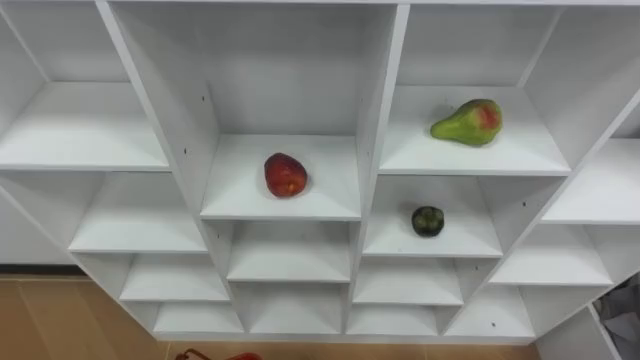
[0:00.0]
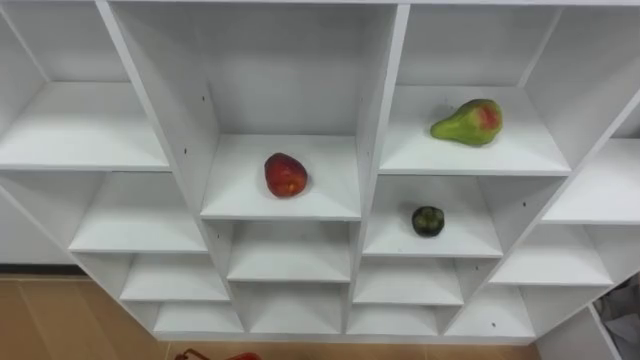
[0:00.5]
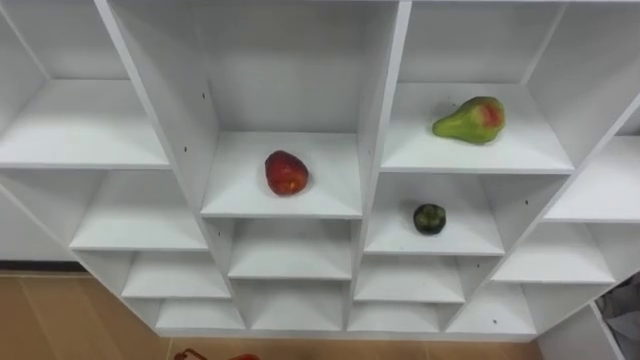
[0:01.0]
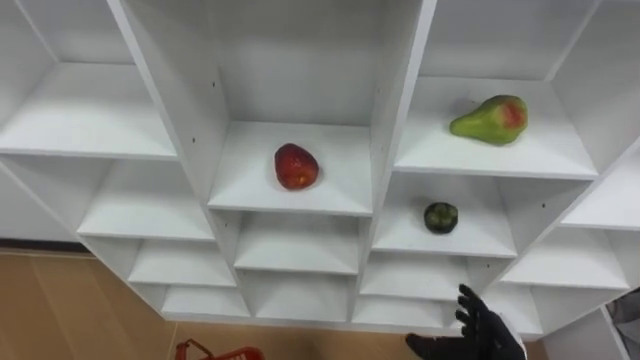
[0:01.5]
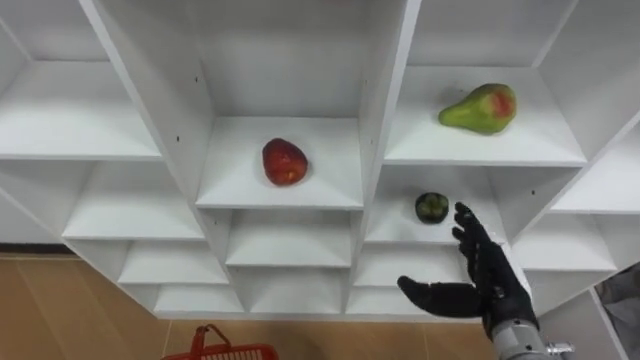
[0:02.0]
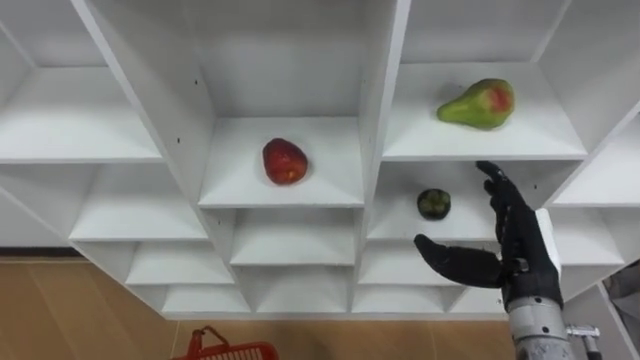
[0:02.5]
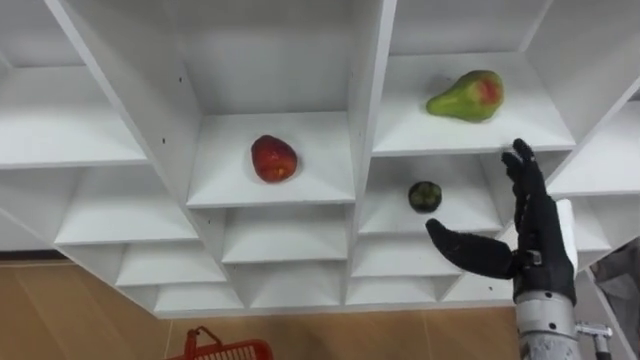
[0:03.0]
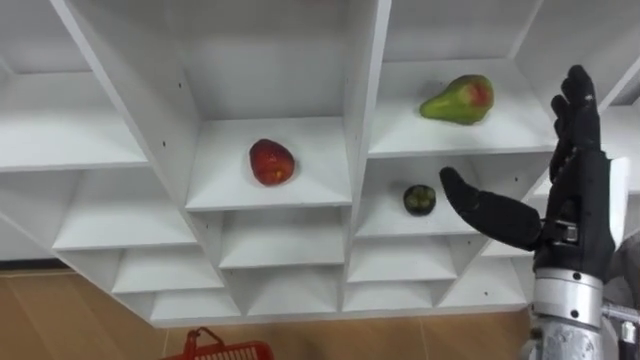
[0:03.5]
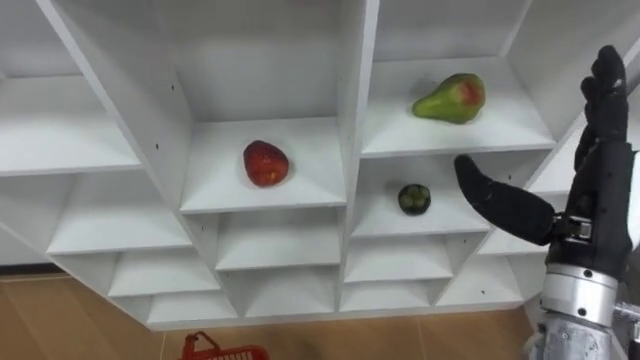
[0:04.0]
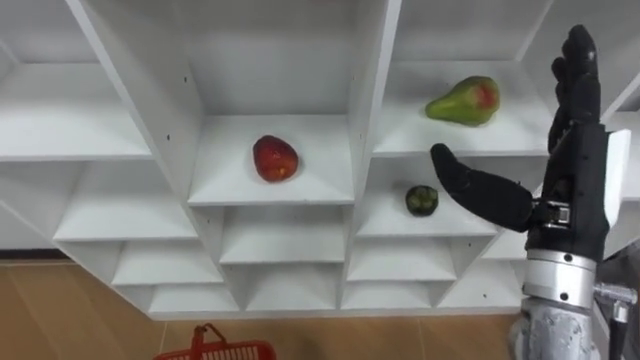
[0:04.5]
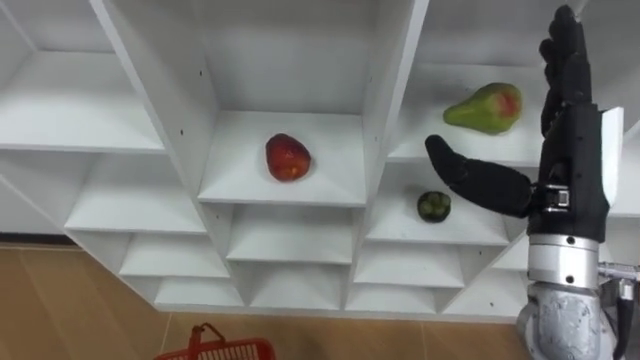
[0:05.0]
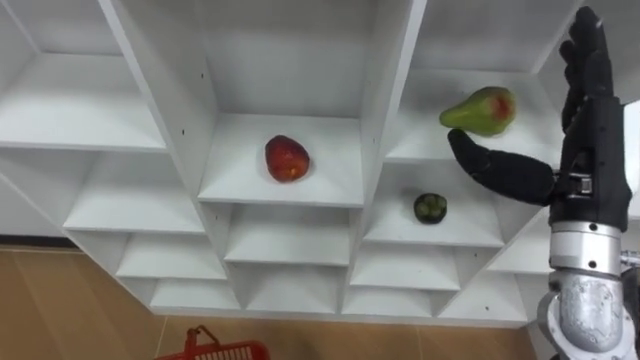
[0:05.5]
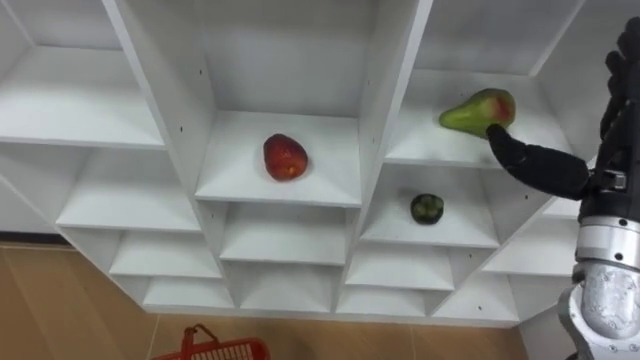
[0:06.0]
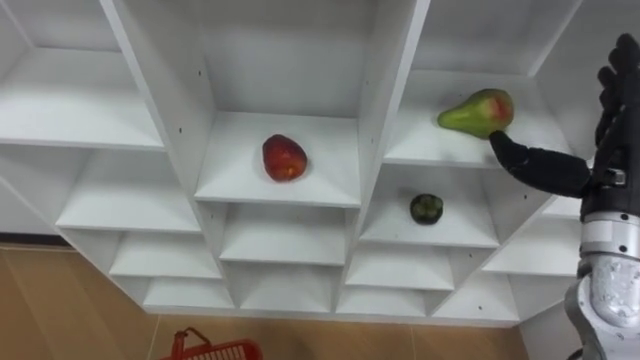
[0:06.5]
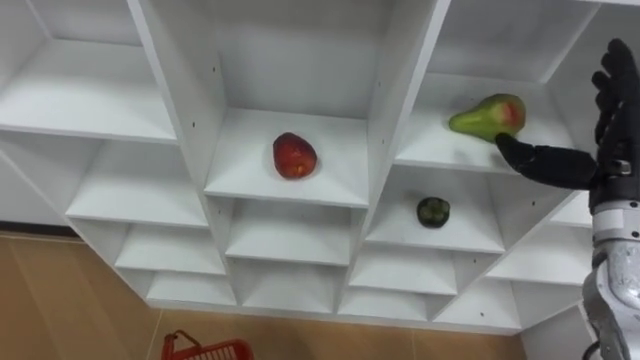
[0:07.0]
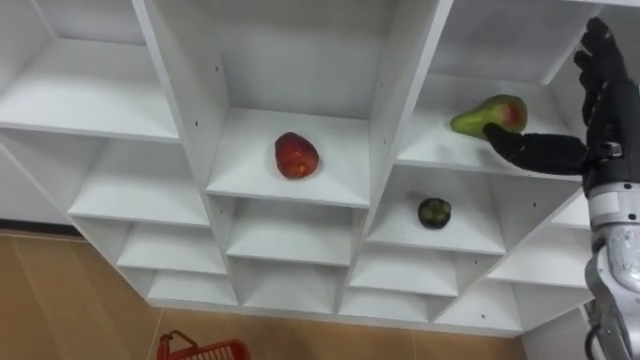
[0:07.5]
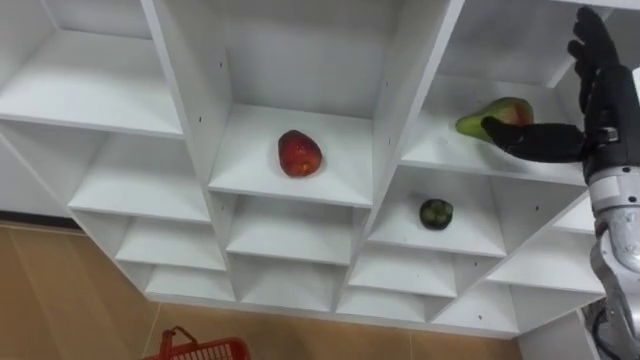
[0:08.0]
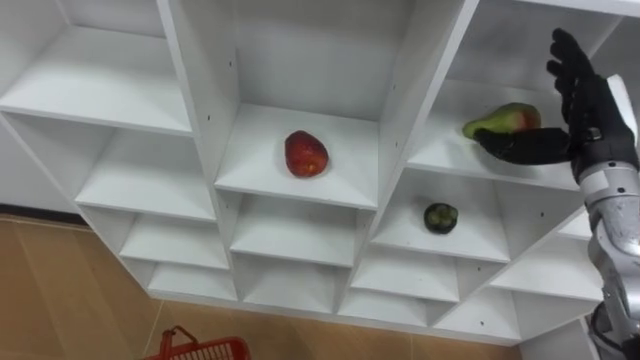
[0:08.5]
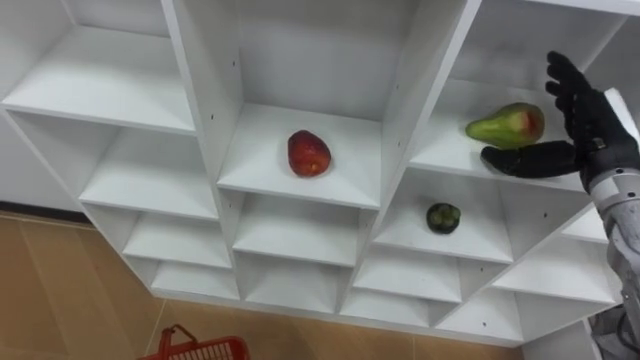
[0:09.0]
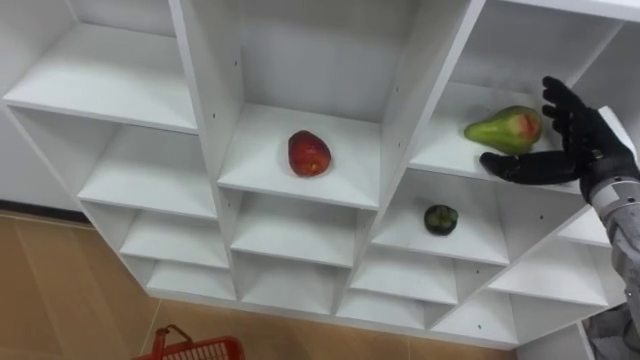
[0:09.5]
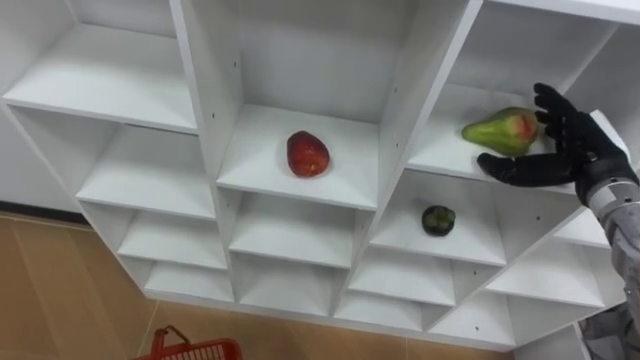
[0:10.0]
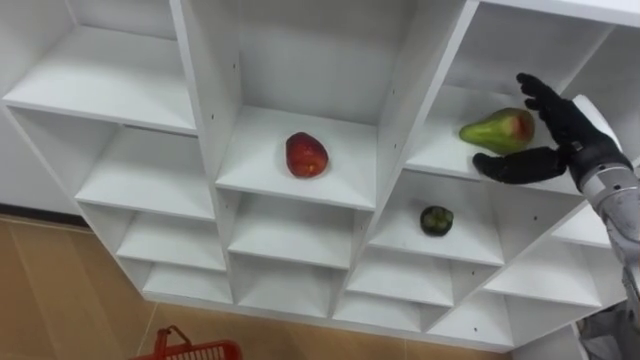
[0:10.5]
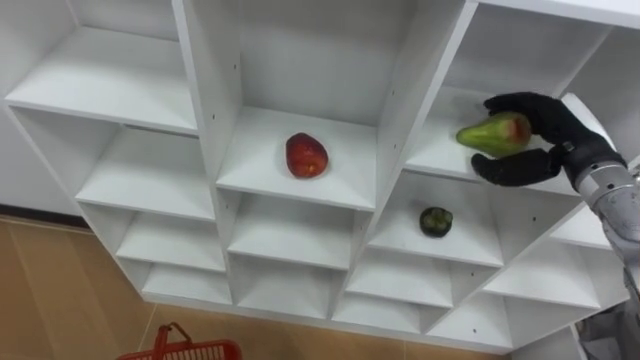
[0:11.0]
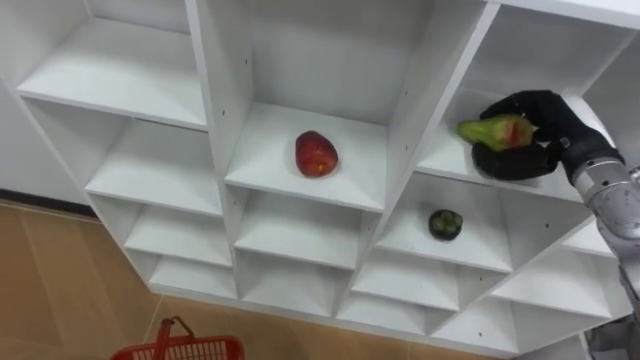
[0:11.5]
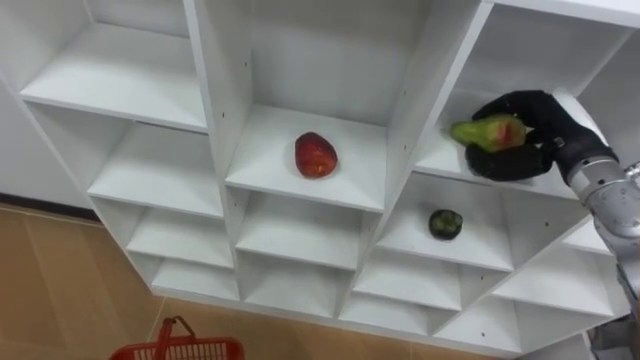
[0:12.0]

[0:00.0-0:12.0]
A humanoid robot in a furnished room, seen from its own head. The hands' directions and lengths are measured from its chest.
Task of the whole recording: Hold the basket and collect the fruits from 3 different cells of the closet into it.
0:02.0 to 0:04.0: The right hand shifts about 20 cm upward.
0:04.0 to 0:06.0: The right hand changes place by some 5 cm.
0:06.0 to 0:08.0: The right hand heads forward, covering some 5 cm.
0:08.0 to 0:10.0: The right hand heads downward, covering approximately 10 cm.
0:10.0 to 0:12.0: The right hand closes its fingers.

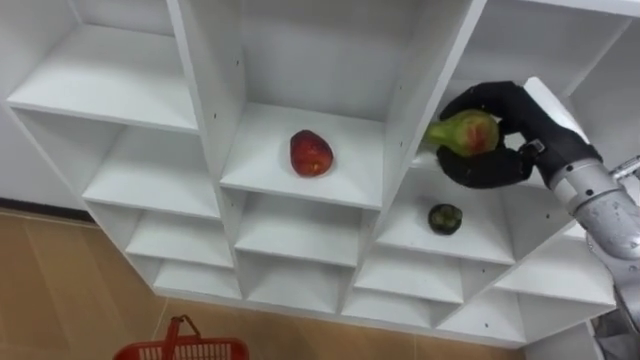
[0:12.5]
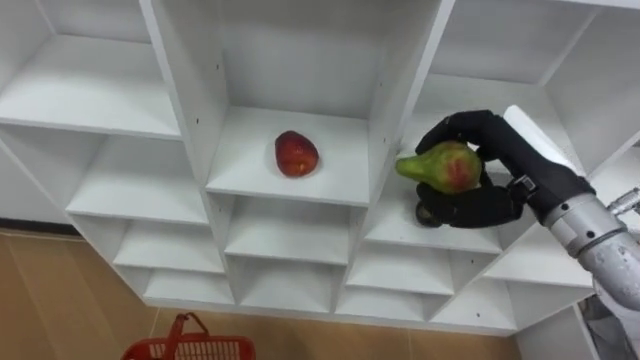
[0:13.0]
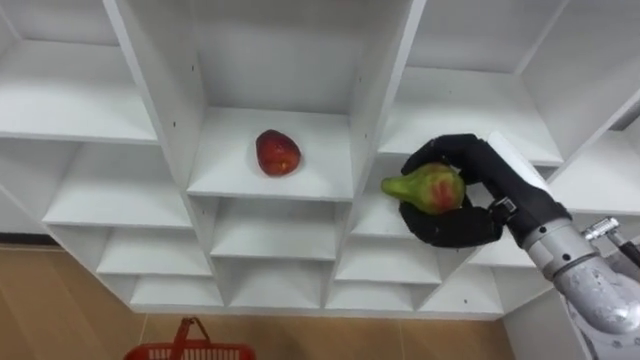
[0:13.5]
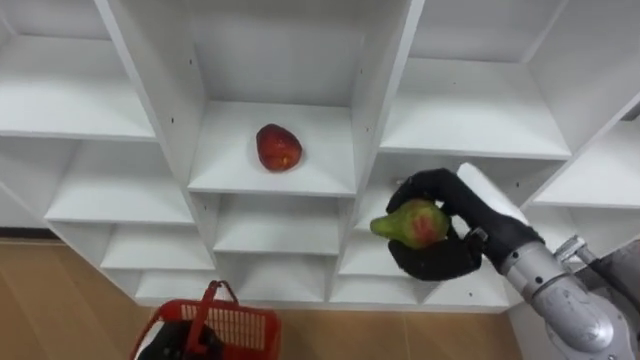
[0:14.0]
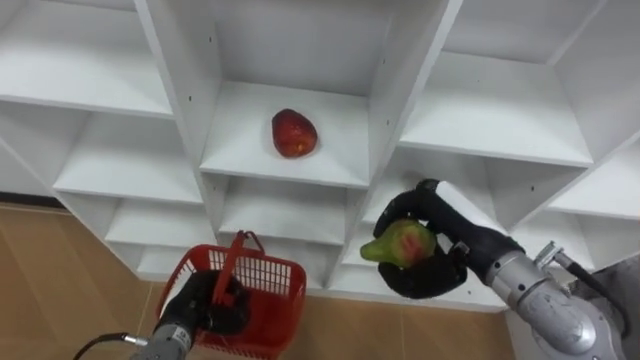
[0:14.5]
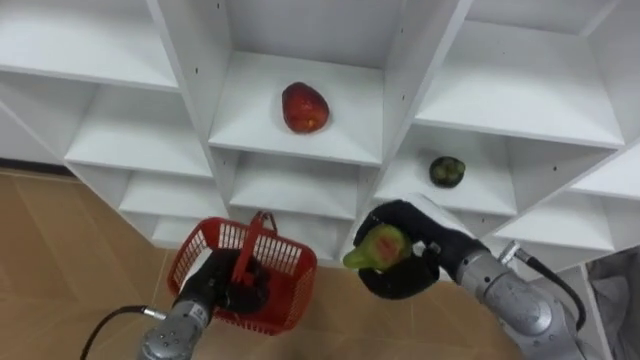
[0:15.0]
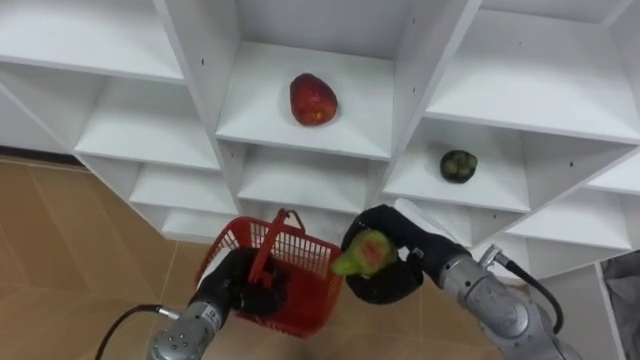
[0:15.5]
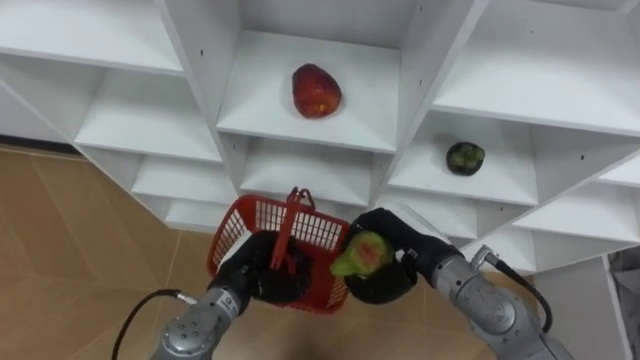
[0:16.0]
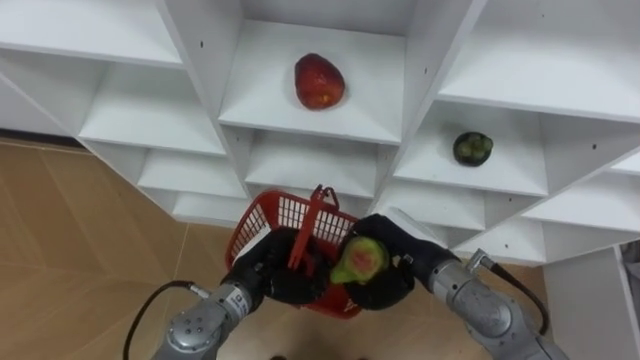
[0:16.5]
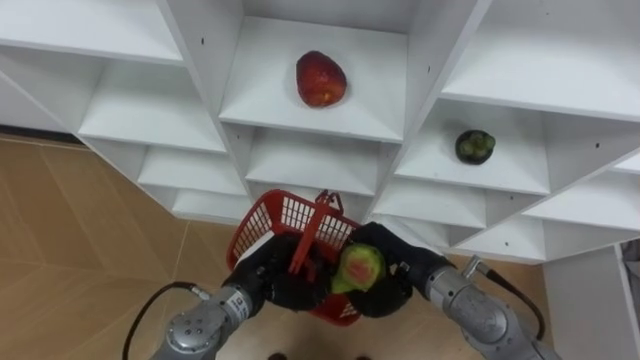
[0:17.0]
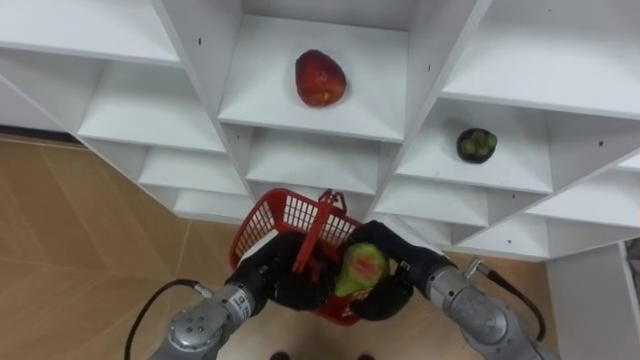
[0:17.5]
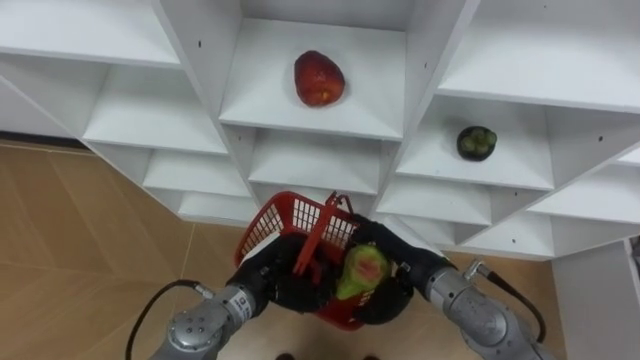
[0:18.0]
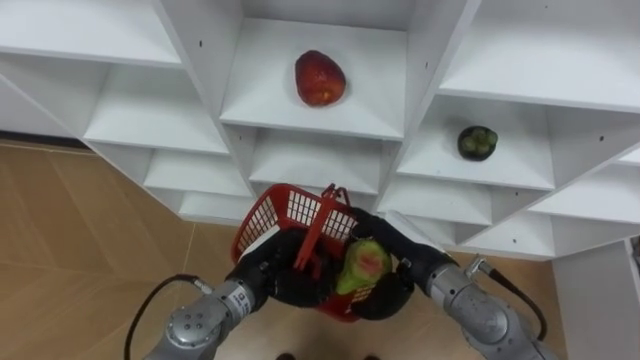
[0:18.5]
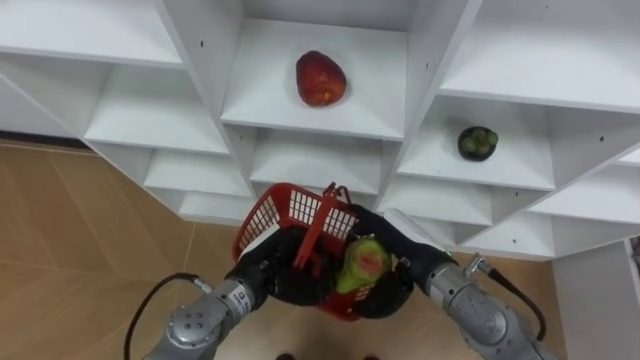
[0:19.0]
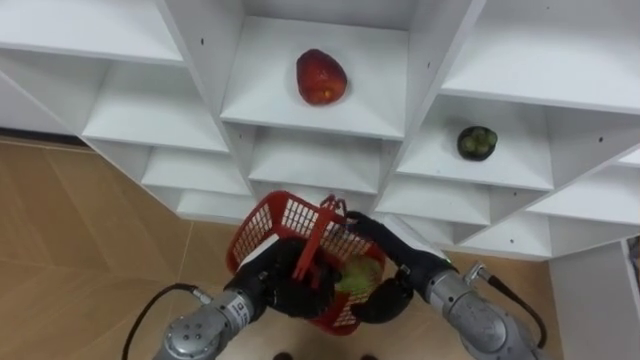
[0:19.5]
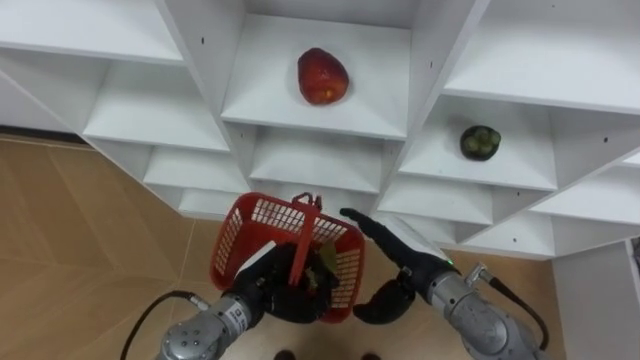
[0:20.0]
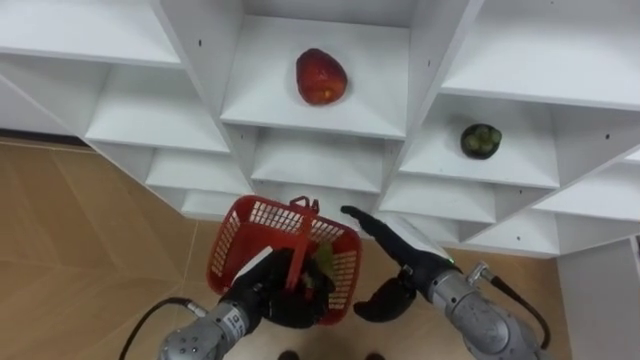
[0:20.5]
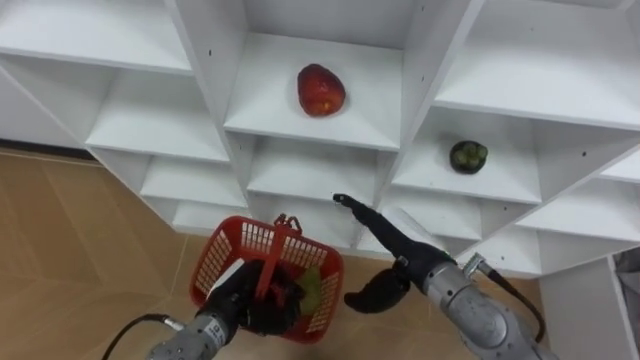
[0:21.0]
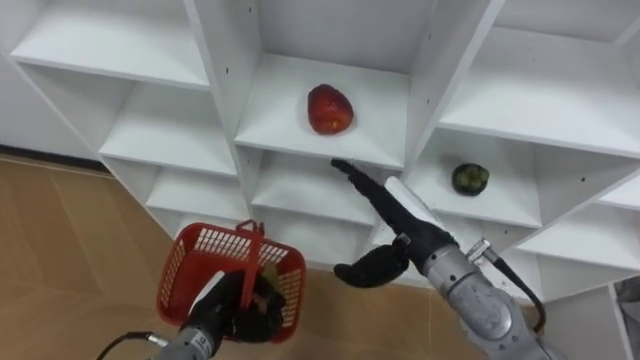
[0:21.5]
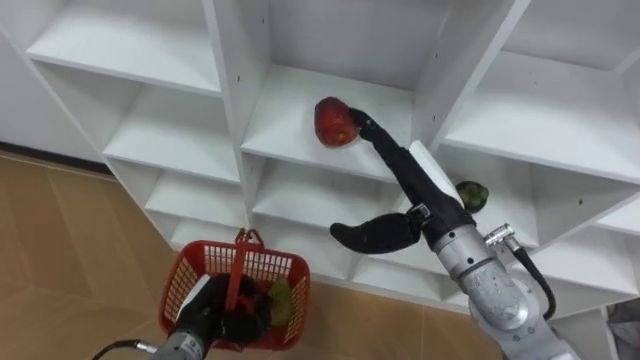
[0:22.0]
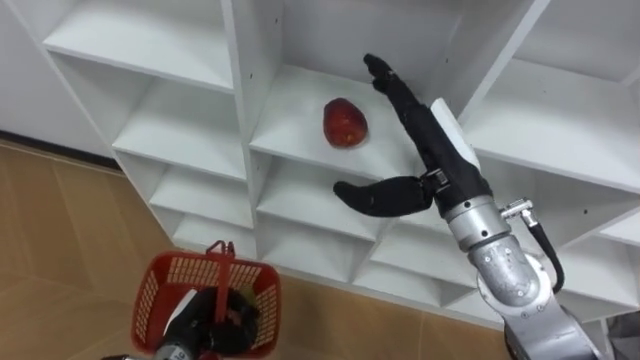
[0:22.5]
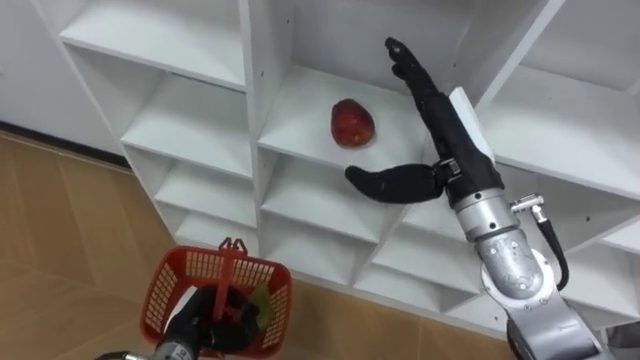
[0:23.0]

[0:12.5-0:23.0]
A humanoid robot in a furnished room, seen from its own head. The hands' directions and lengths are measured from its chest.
Task of the whole recording: Hold the basket and collect the fruits from 3 different cells of the closet into it.
0:12.5 to 0:14.5: The right hand is displaced backward, to the left and downward by roughly 15 cm.
0:14.5 to 0:16.5: The left hand travels to the right and upward by about 15 cm. Meanwhile the right hand goes some 10 cm downward and to the left.
0:16.5 to 0:19.0: The right hand opens up.
0:19.0 to 0:21.0: The left hand ends up approximately 5 cm from where it was.
0:21.0 to 0:23.0: The left hand is displaced to the left by about 5 cm. Meanwhile the right hand travels upward by roughly 15 cm.
